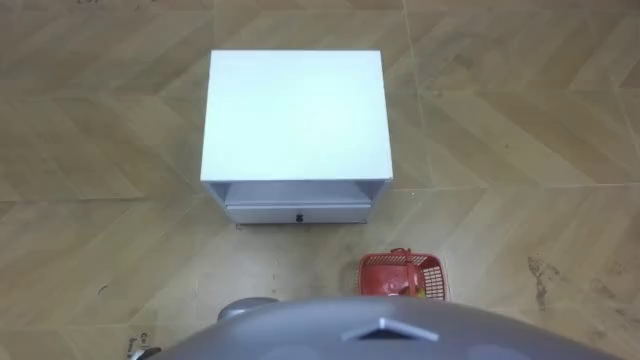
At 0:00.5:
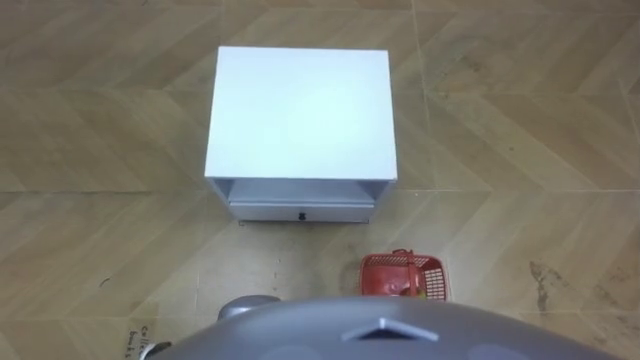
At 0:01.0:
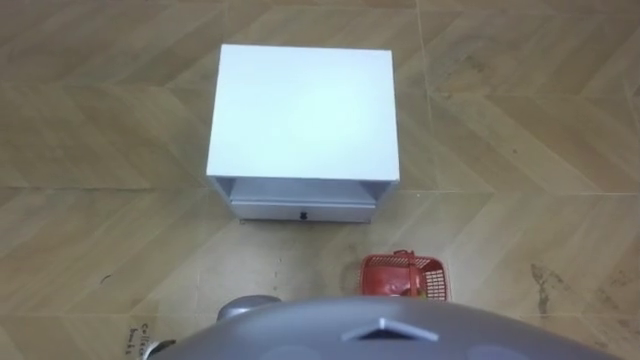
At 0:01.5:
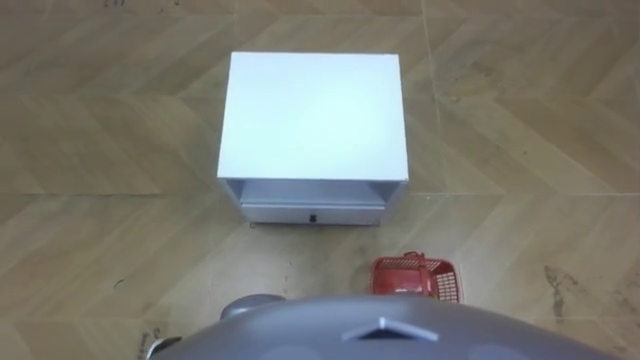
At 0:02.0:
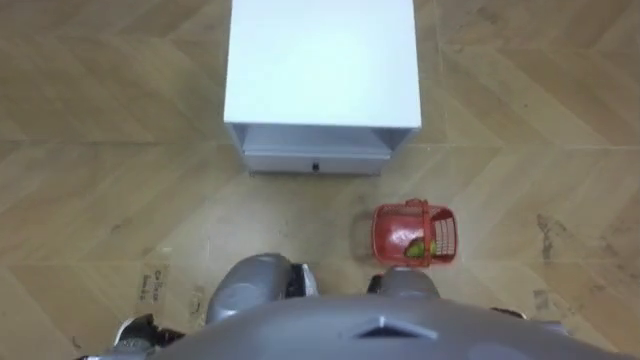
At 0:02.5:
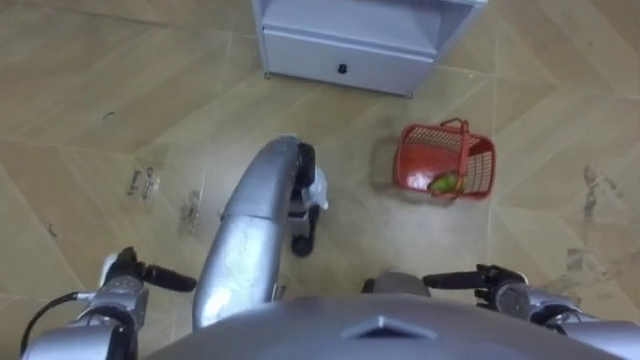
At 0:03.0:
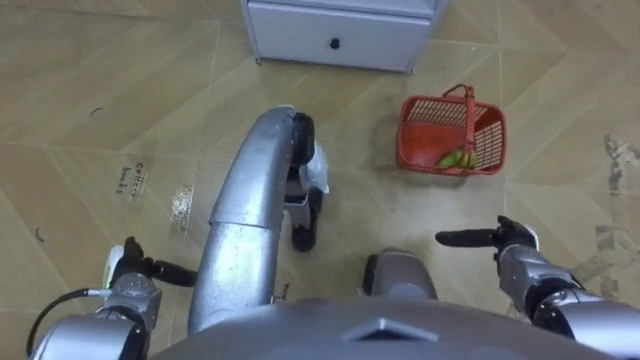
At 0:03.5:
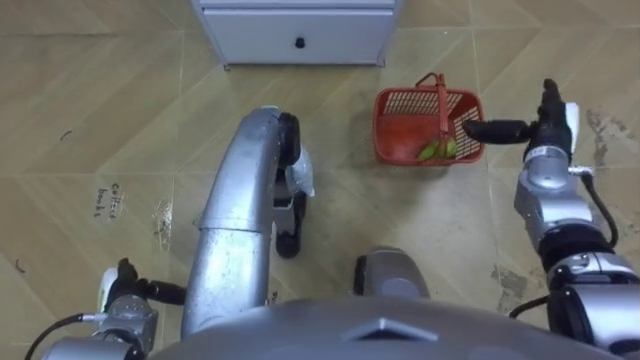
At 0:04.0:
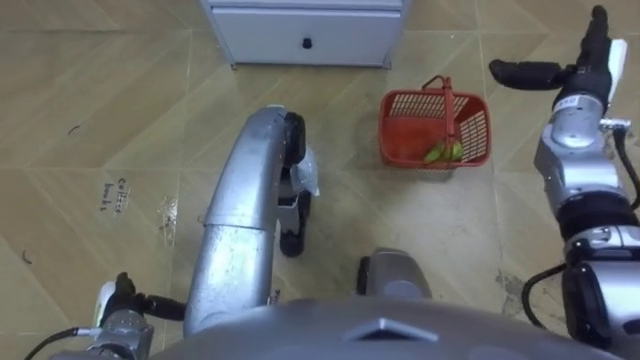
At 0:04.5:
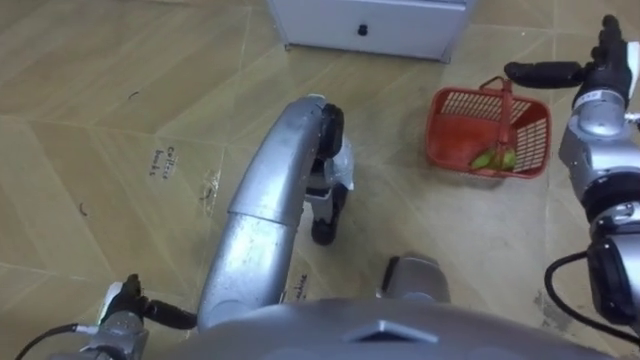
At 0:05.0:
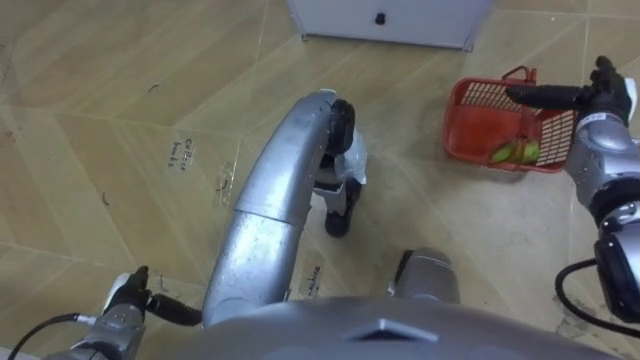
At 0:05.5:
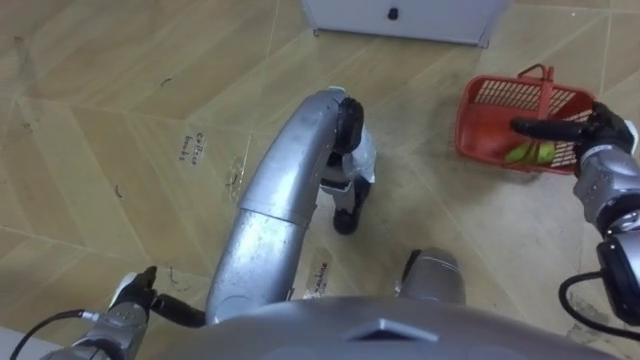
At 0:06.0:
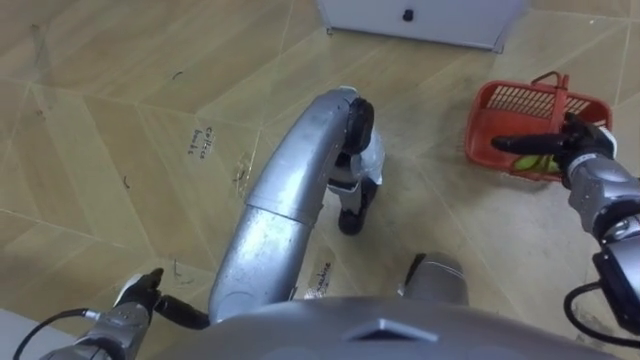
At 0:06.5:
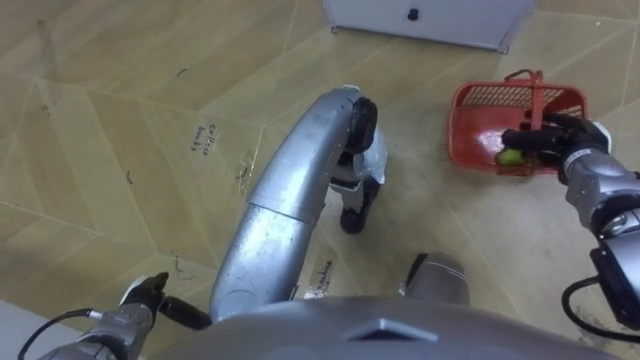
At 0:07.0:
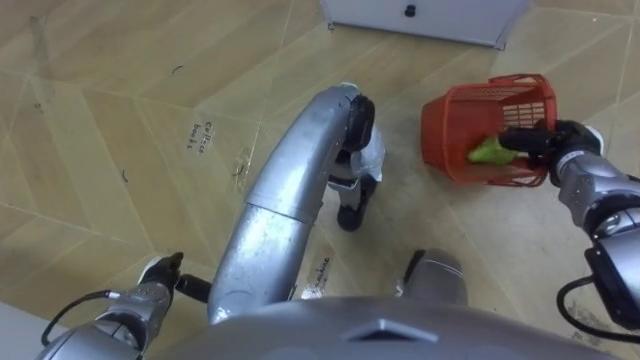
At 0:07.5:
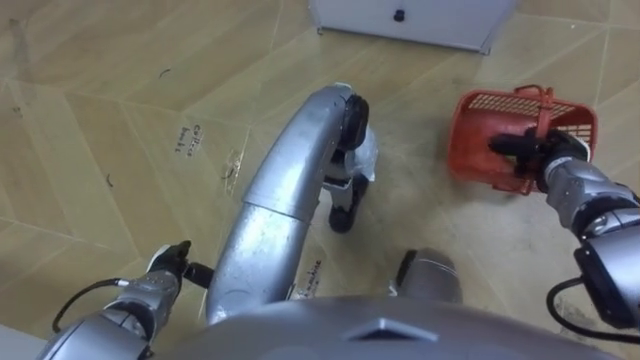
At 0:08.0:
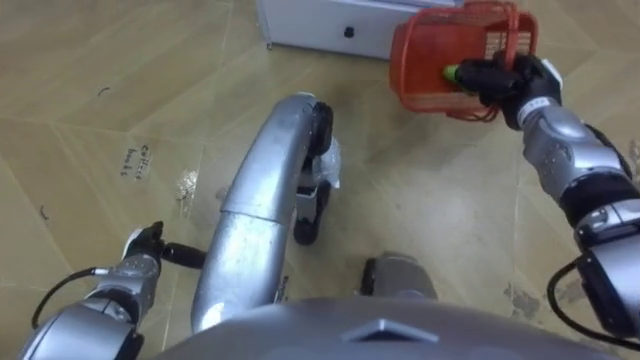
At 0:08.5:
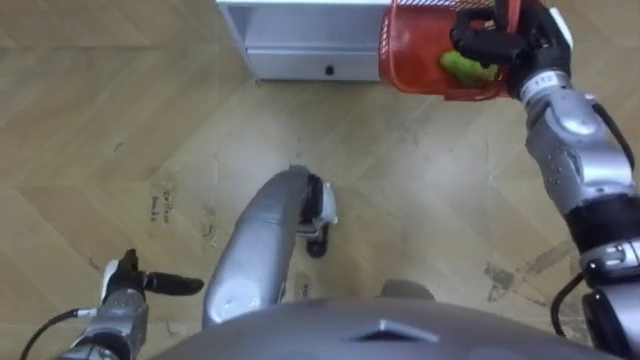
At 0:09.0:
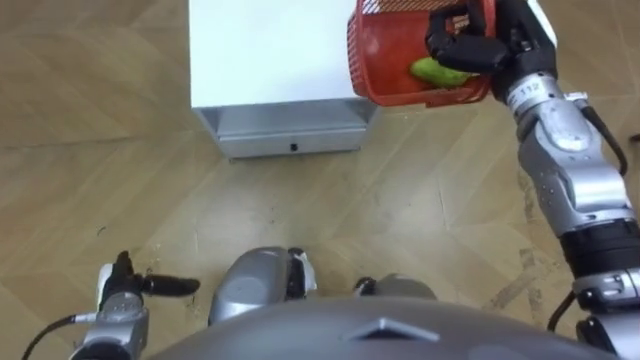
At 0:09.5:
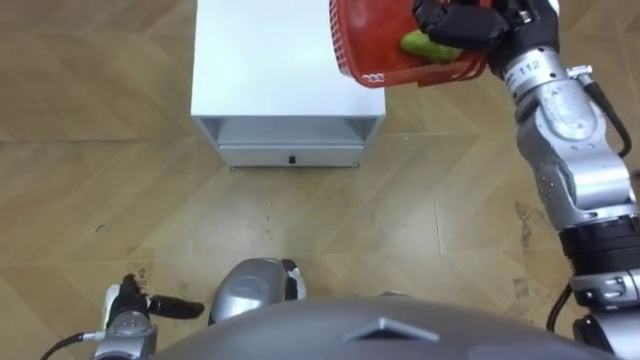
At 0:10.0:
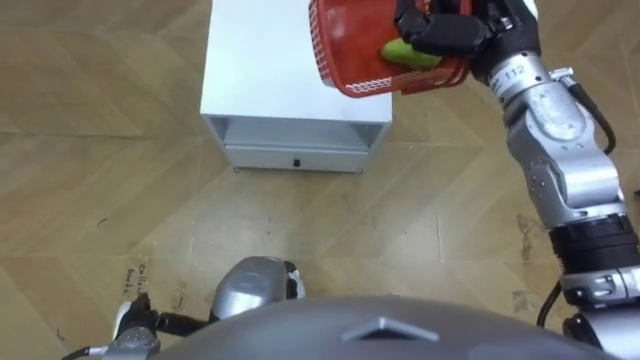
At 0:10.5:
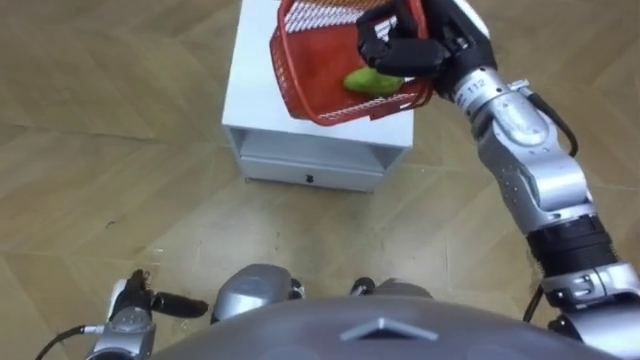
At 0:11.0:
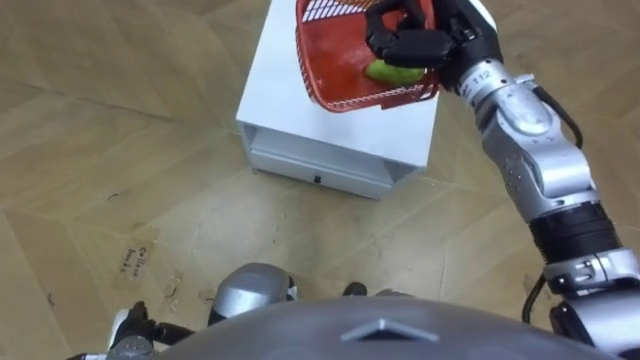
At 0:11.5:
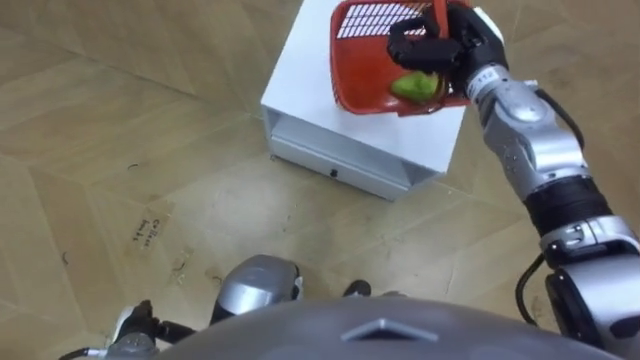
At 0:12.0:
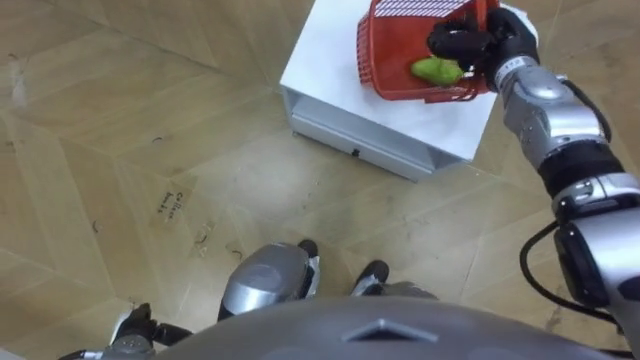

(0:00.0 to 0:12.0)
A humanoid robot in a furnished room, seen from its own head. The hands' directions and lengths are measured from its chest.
Task of the whole recording: Pick up the fruit basket from the floor and place it on the cabinet.
0:02.0 - 0:04.0: The right hand shifts approximately 40 cm forward and upward.
0:04.0 - 0:06.0: The right hand is displaced downward and backward by some 10 cm.
0:06.0 - 0:08.0: The right hand moves to the left and forward, some 10 cm, and closes up, while the left hand moves forward, some 5 cm.
0:08.0 - 0:10.0: The right hand shifts approximately 15 cm upward and to the left. Meanwhile the left hand shifts about 10 cm backward.
0:10.0 - 0:12.0: The robot rotates roughly 15 degrees to its left. The right hand moves downward, approximately 10 cm.

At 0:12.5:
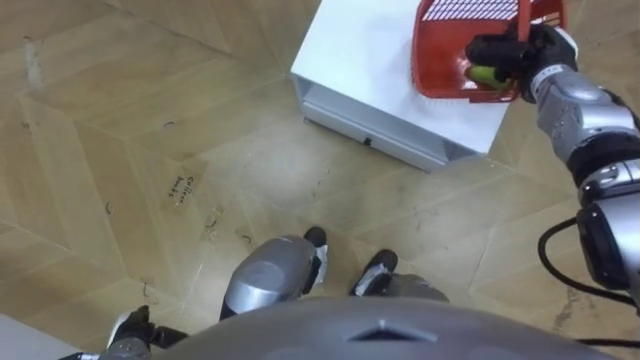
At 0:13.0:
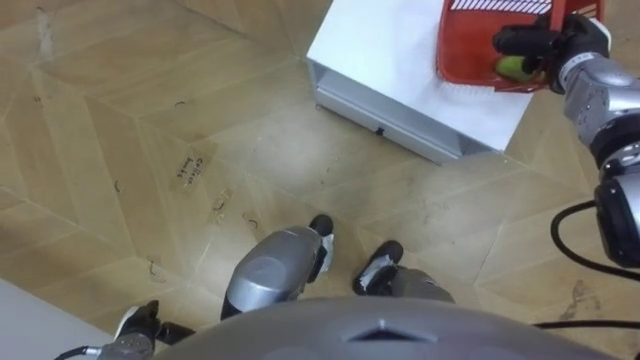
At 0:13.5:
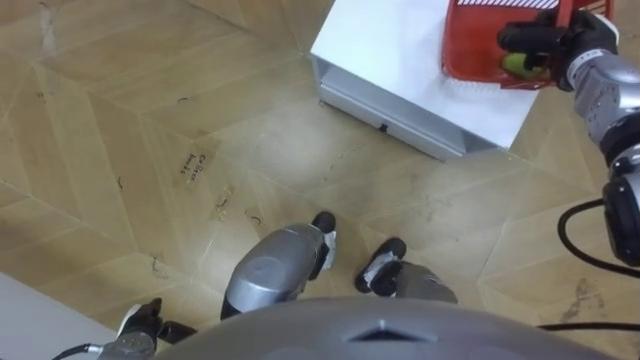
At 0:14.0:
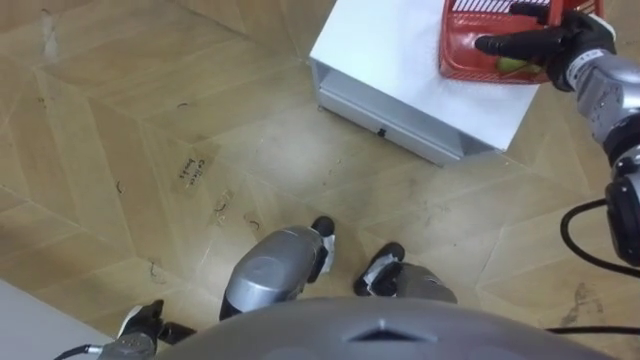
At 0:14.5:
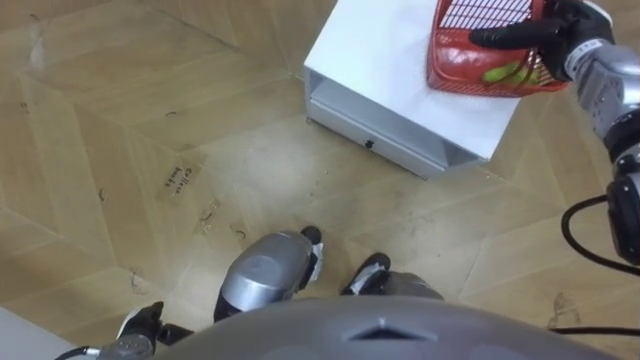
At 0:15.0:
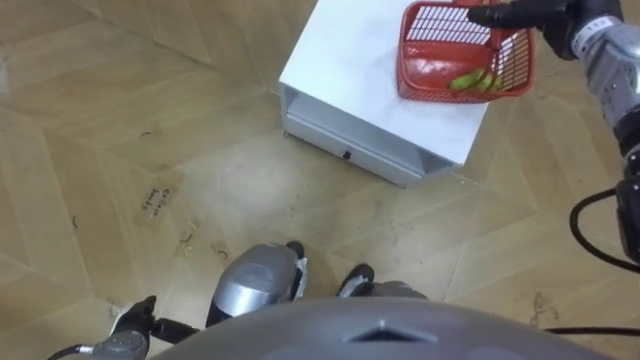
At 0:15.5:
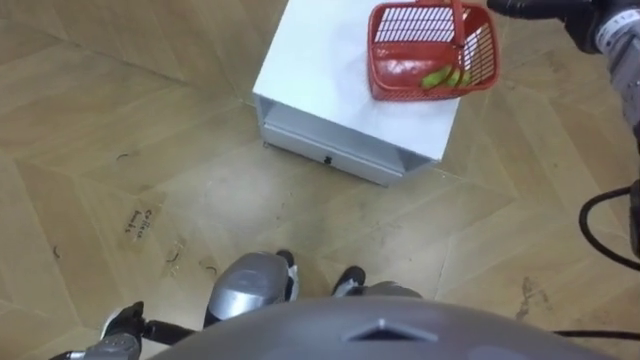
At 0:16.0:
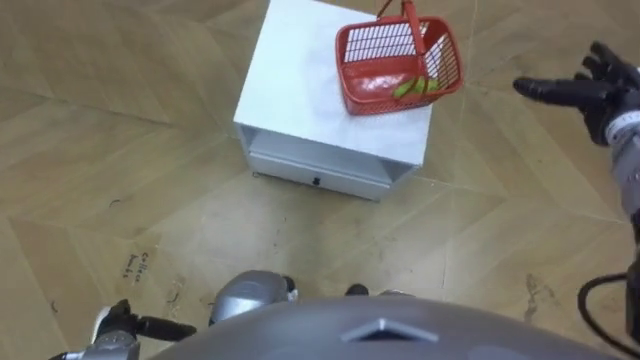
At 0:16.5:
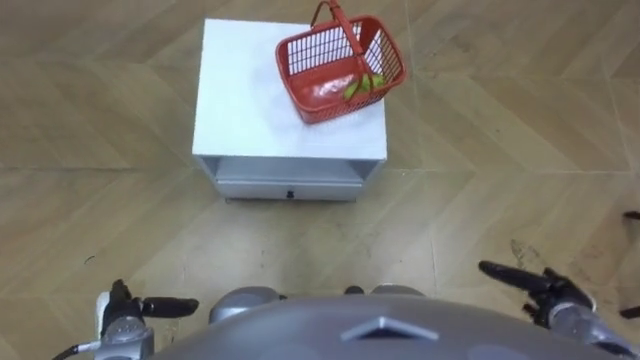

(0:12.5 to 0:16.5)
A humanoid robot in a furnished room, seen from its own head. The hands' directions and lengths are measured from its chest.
Task of the whole recording: Pick up the fruit basket from the floor and place it on the cabinet.
0:12.5 - 0:14.5: The right hand opens its fingers.

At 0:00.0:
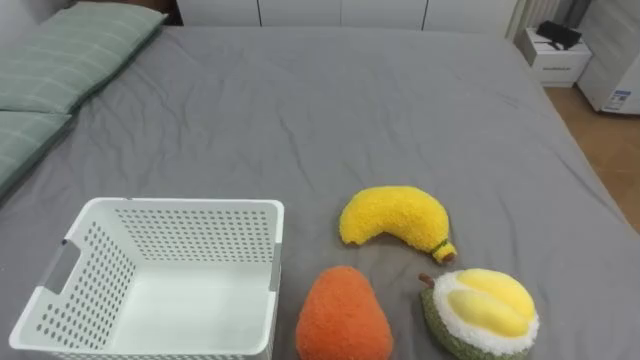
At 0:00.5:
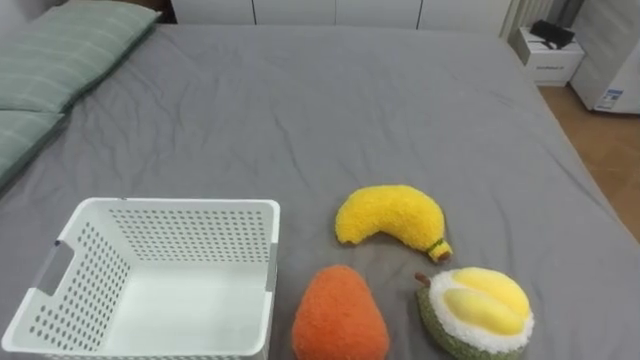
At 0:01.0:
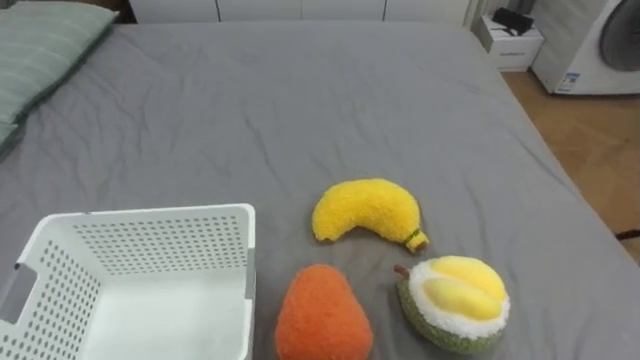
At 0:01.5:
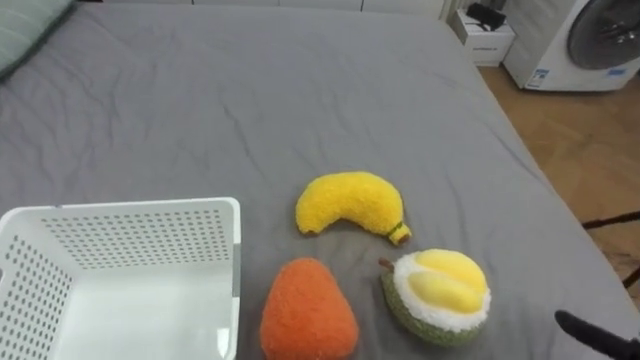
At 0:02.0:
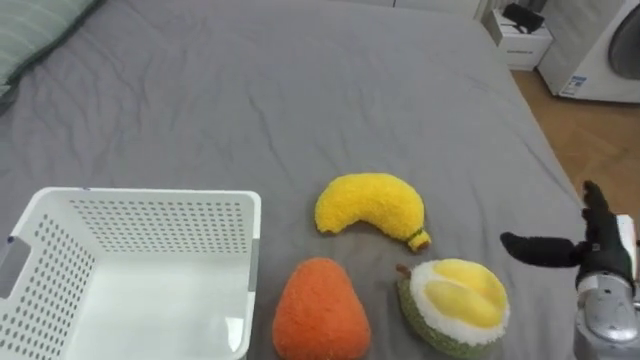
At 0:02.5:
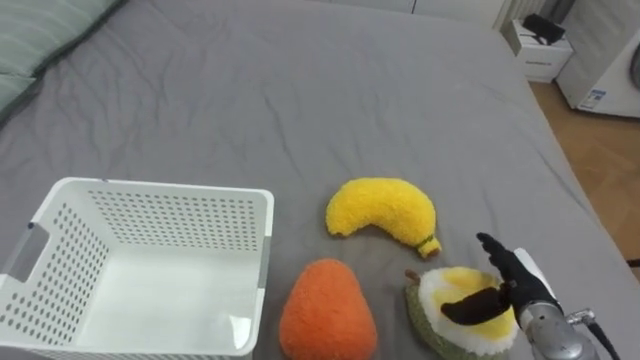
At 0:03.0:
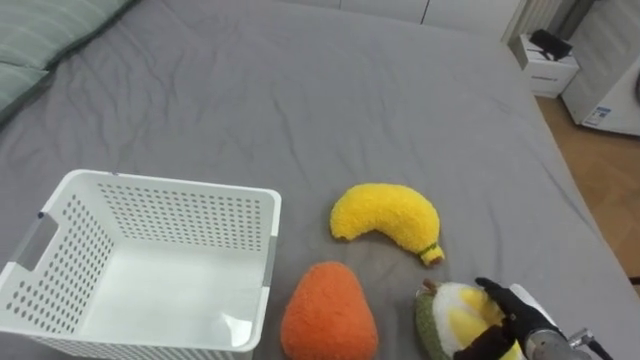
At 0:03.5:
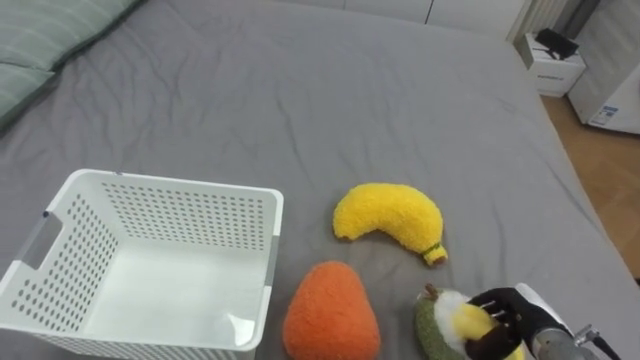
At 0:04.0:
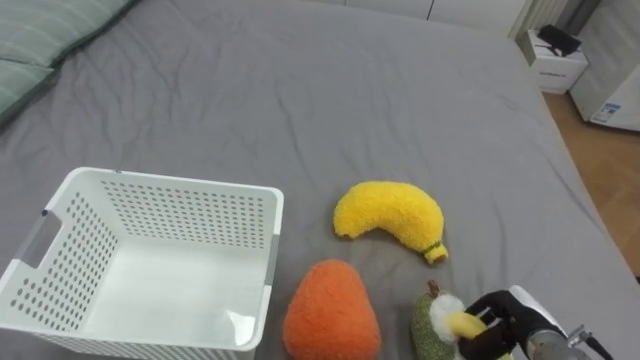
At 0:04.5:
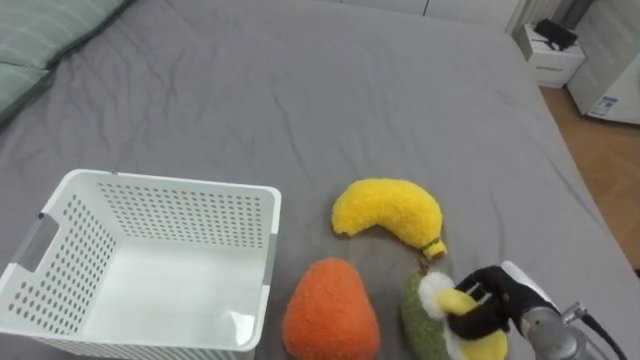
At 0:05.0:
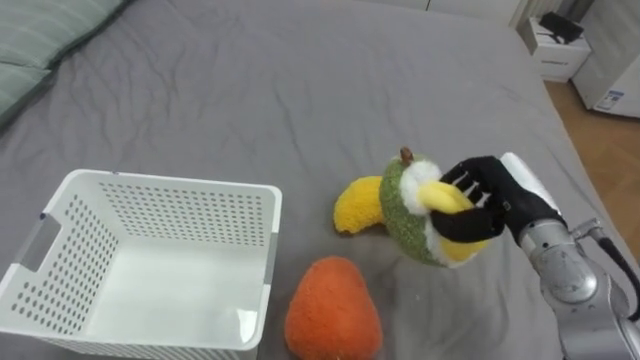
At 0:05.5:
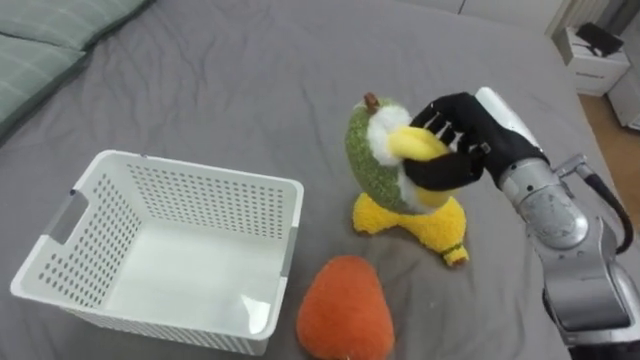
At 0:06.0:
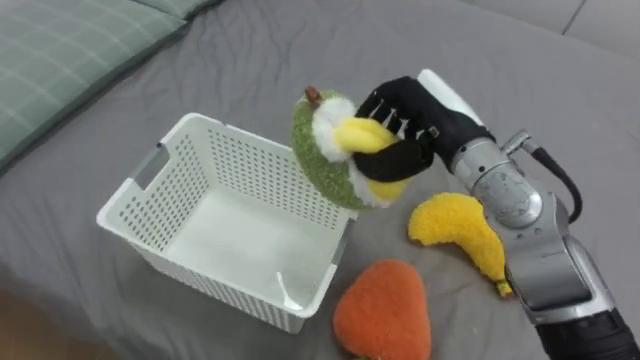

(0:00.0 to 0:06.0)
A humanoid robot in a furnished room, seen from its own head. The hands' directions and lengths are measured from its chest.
Task of the whole recording: Put the toys on the bed into the basket on the left.
0:02.0 - 0:04.0: The right hand shifts approximately 15 cm downward and to the left, and closes up.
0:04.0 - 0:06.0: The right hand shifts roughly 35 cm upward, to the left and forward.
